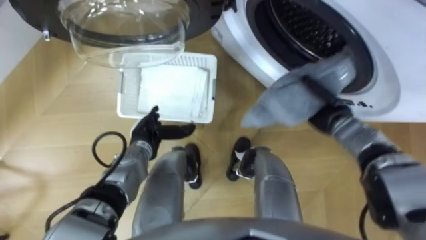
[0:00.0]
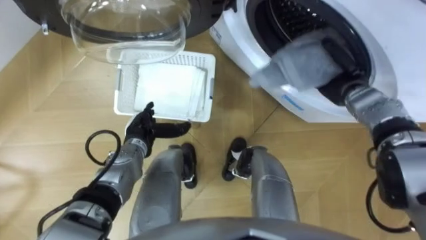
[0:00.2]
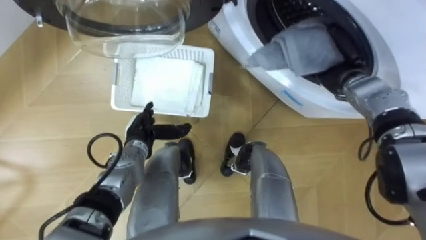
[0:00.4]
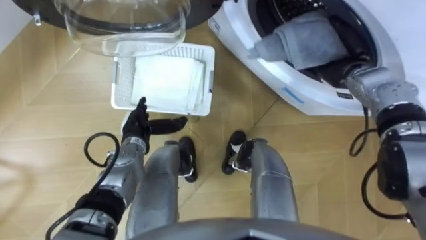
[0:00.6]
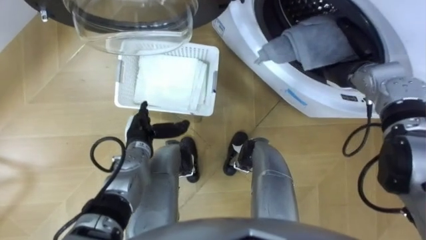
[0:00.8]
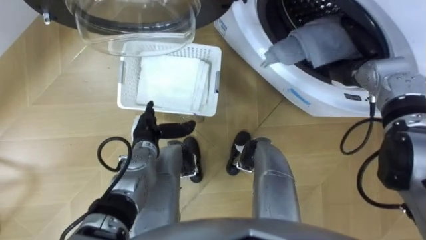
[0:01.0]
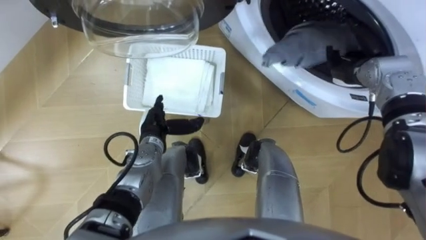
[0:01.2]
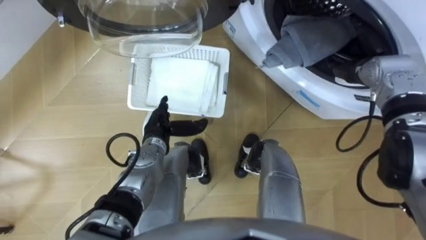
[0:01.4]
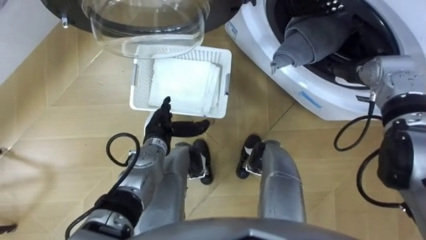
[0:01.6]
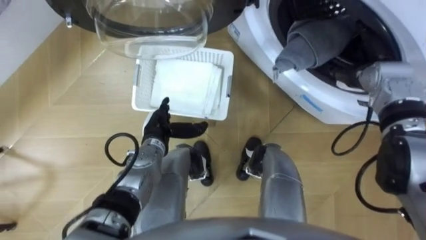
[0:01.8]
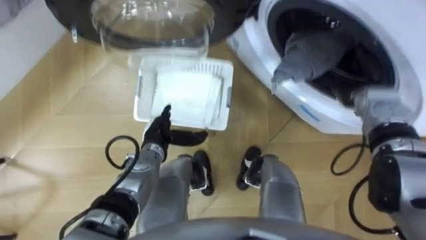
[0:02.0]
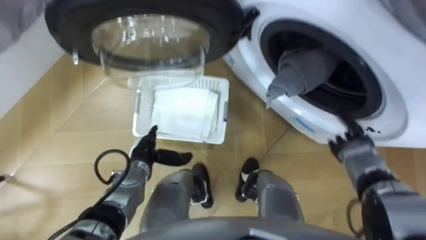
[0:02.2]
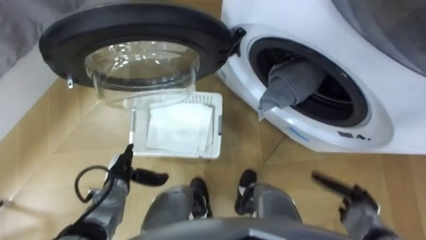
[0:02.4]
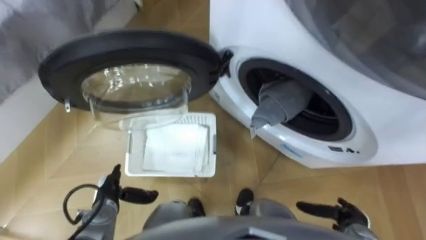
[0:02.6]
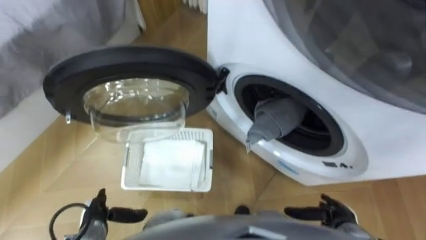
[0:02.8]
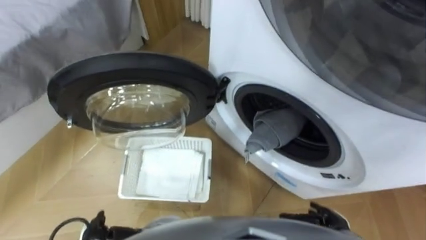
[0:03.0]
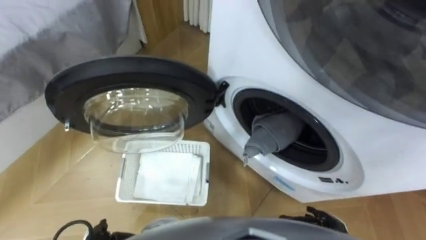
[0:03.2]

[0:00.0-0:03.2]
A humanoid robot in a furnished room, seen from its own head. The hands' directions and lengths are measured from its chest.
Task of the whole recording: Take the towel from the basket and put it into the washing machine.
0:00.0 to 0:01.6: The right hand travels upward and forward by about 10 cm, and opens up.
0:01.6 to 0:03.2: The right hand goes approximately 35 cm backward and downward.

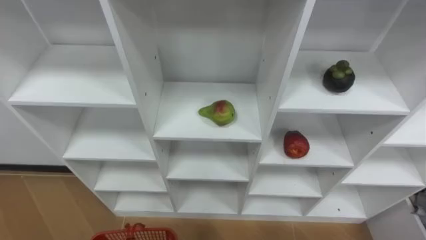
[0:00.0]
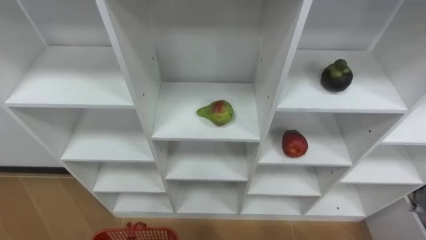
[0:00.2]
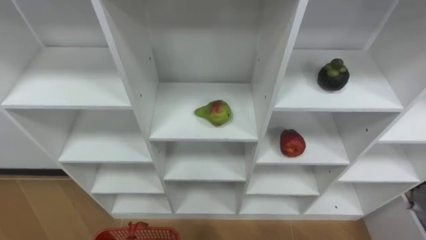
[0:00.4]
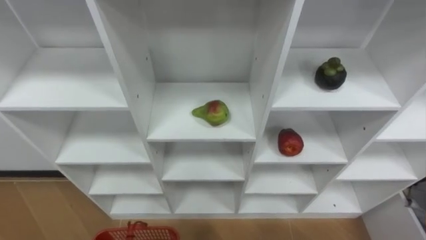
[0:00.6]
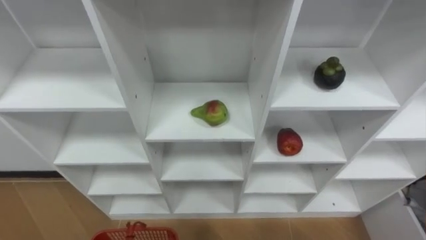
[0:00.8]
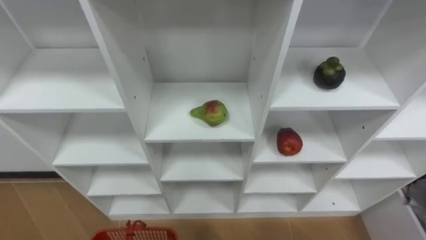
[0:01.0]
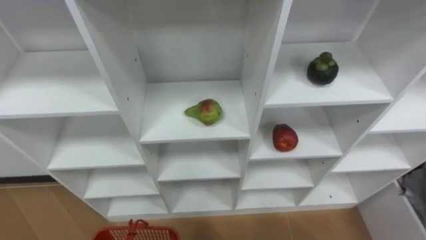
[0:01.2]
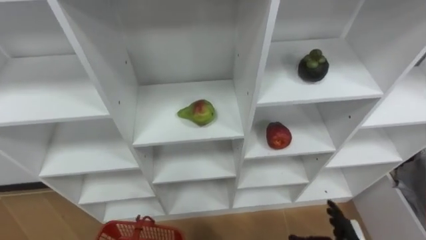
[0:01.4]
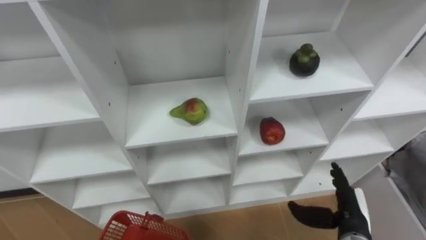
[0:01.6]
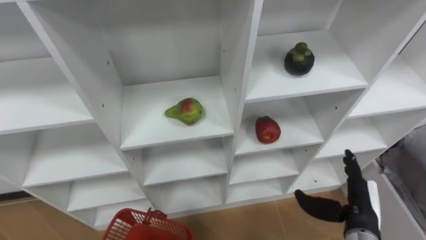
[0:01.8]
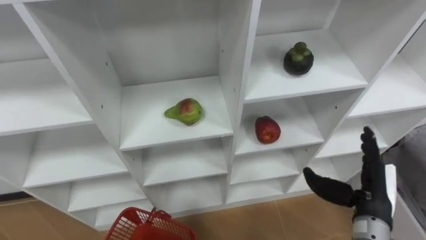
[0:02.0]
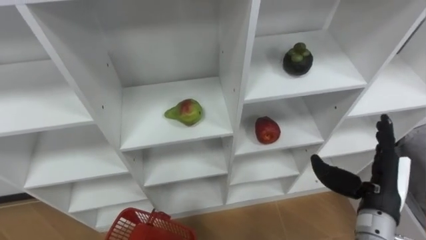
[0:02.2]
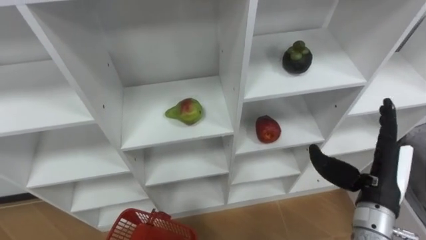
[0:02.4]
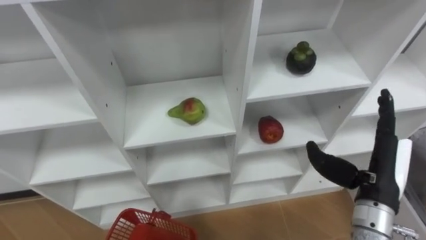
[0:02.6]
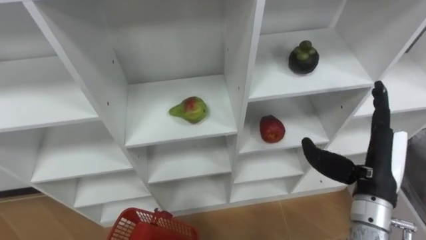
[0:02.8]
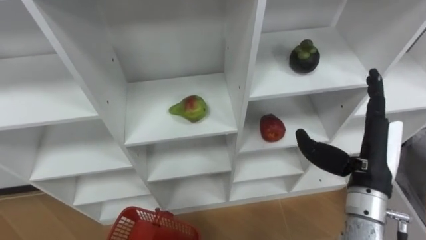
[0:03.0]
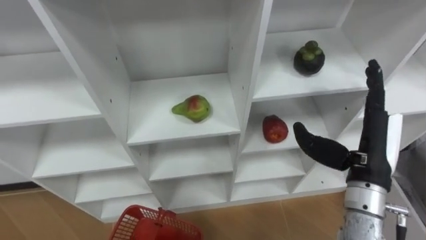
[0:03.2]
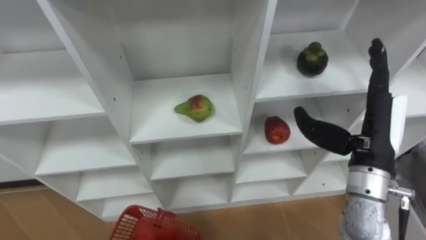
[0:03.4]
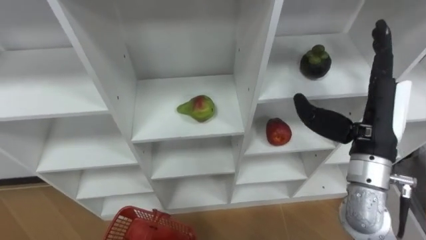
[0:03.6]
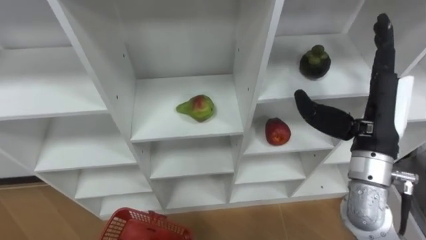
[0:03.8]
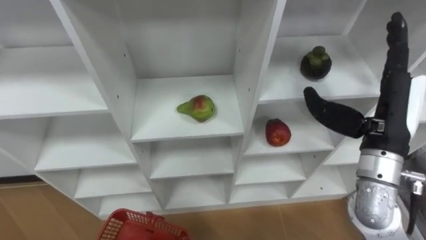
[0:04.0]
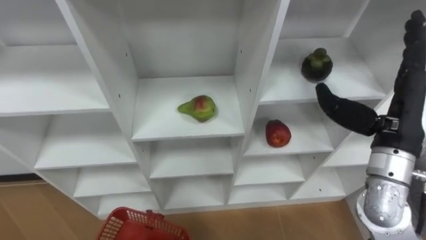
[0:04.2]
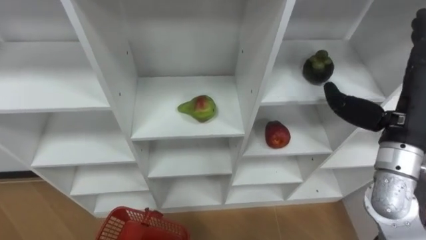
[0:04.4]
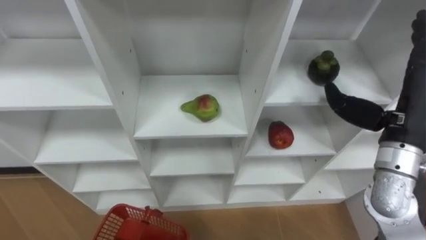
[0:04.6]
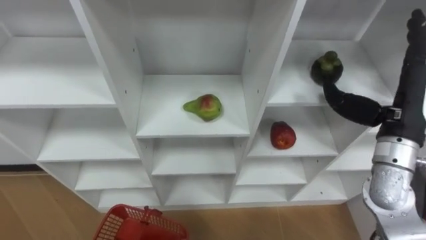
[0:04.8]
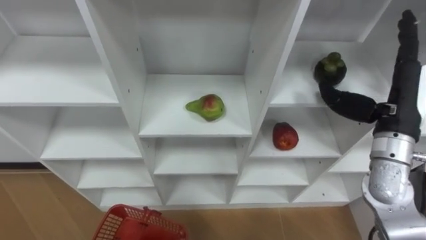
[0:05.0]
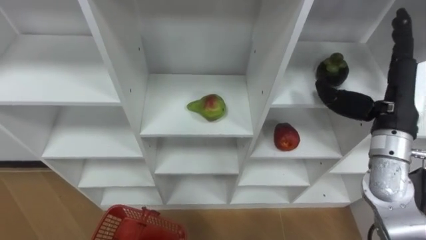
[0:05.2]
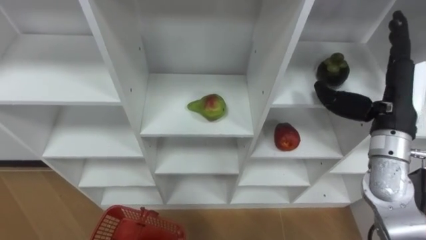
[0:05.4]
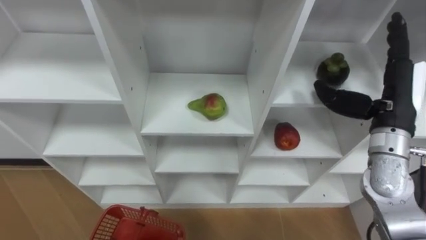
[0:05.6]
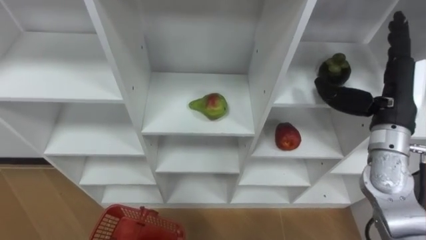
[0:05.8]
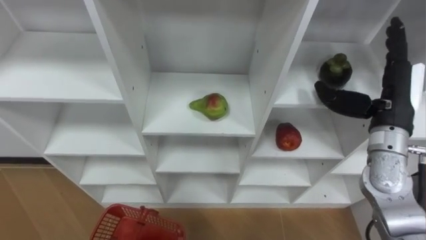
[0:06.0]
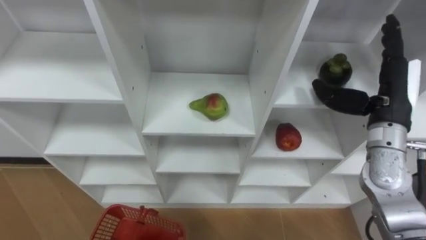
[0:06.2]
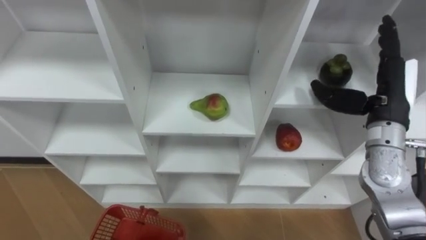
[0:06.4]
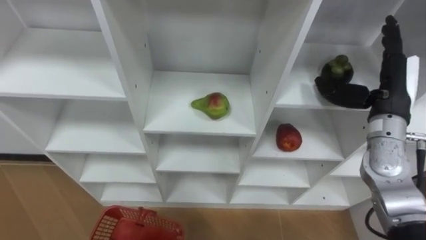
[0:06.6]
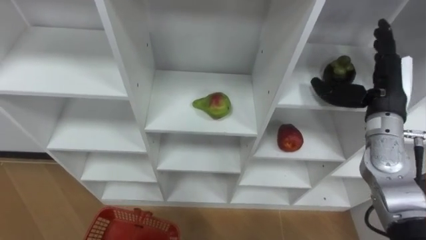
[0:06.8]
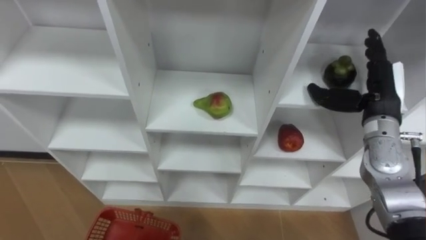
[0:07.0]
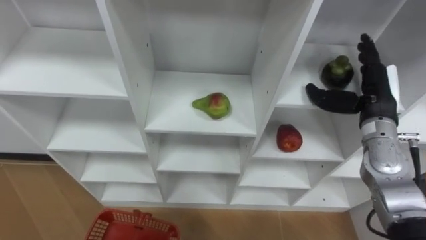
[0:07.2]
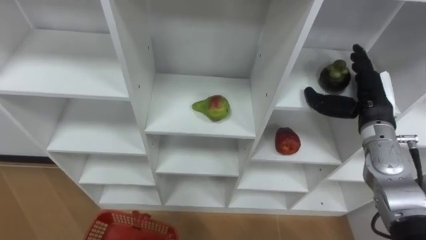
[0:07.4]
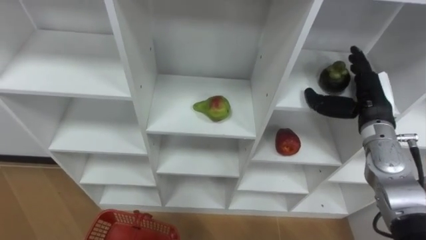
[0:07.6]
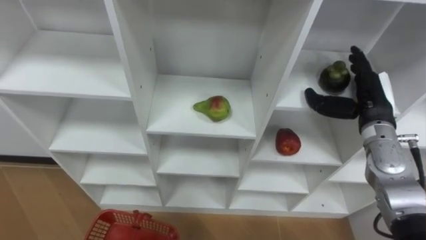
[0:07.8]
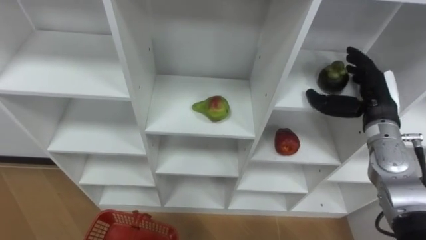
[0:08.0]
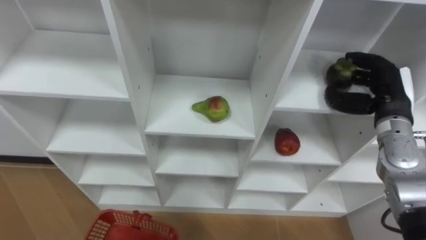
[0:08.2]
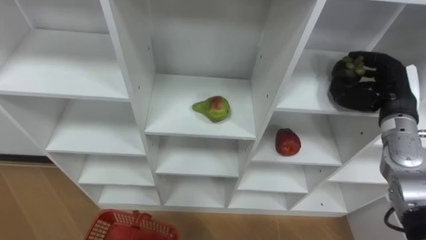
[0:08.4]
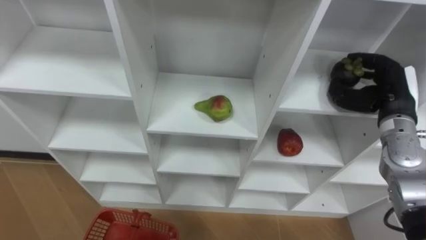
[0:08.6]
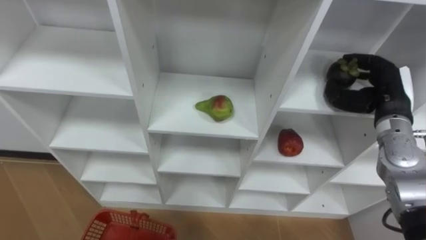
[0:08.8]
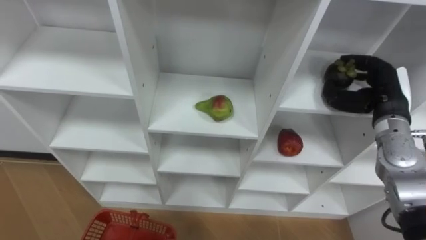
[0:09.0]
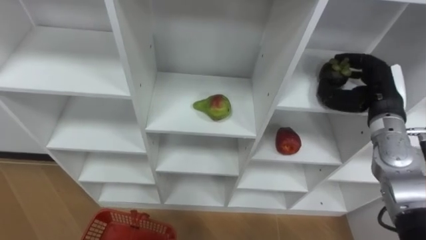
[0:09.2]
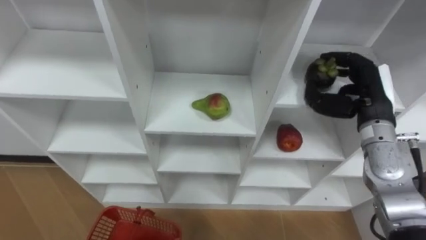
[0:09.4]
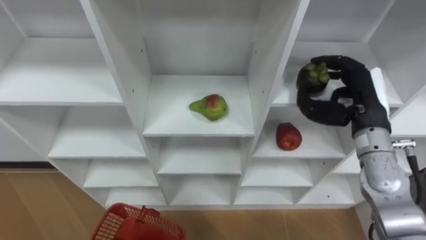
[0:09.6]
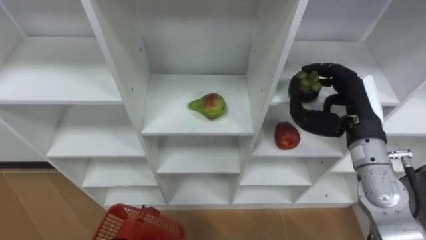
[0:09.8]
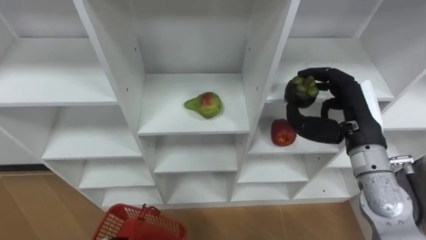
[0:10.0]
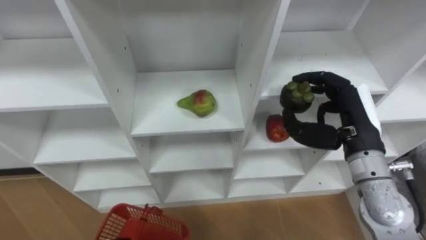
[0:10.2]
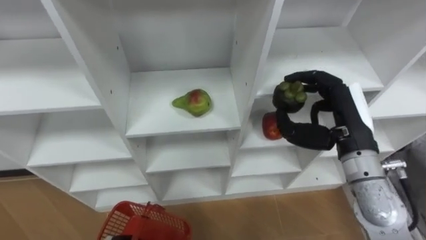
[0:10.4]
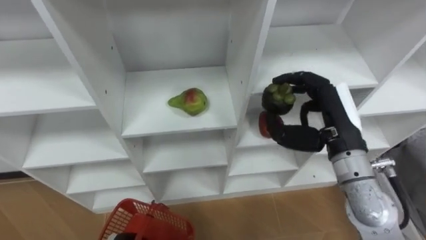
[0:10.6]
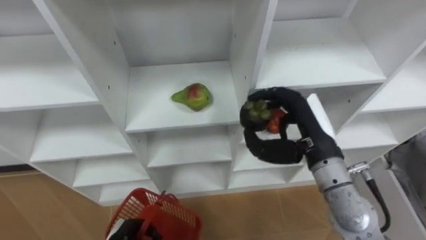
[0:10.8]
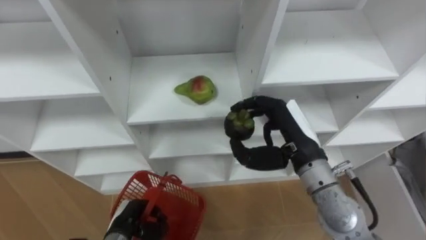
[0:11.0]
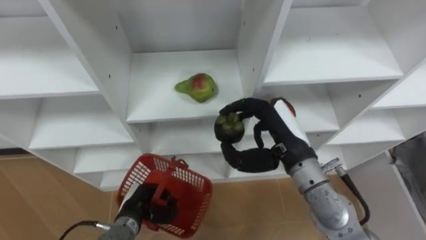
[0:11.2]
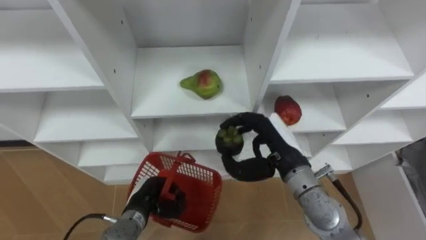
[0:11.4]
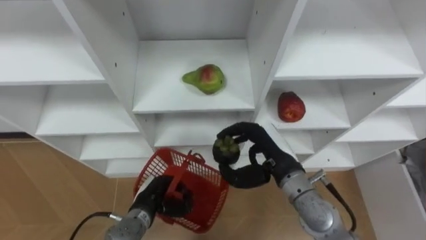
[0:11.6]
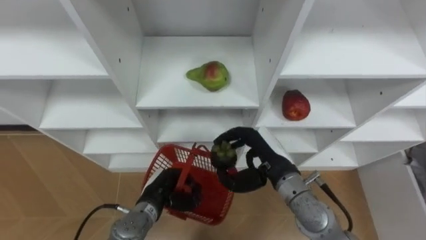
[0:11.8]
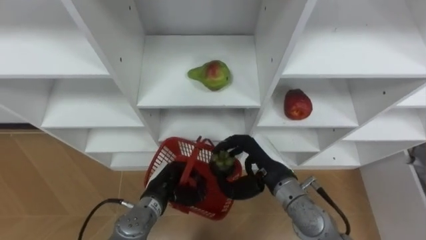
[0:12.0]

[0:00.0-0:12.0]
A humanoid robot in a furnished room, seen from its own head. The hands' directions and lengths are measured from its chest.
Task of the whole recording: Hold the basket and collect the fruits from 3 different cells of the closet into it.
0:01.6 to 0:03.0: The right hand is displaced upward by roughly 15 cm.
0:03.0 to 0:04.4: The right hand travels upward by about 5 cm.
0:06.0 to 0:07.6: The right hand heads downward, covering some 5 cm.
0:07.6 to 0:09.0: The right hand closes up.
0:09.0 to 0:10.4: The right hand shifts some 10 cm to the left and backward.
0:10.4 to 0:12.0: The right hand shifts approximately 15 cm to the left and downward.

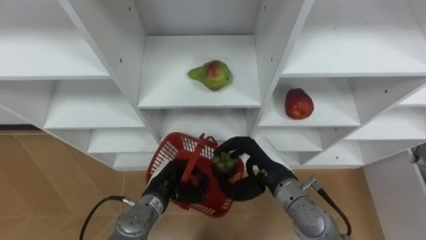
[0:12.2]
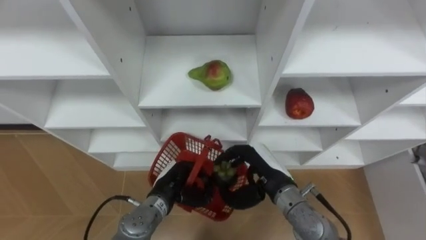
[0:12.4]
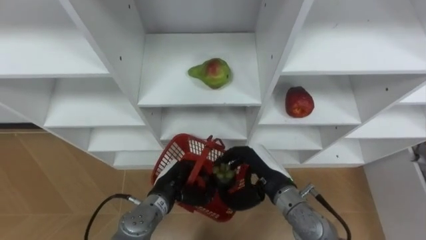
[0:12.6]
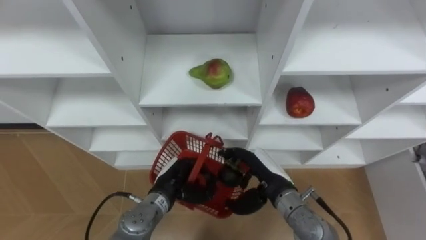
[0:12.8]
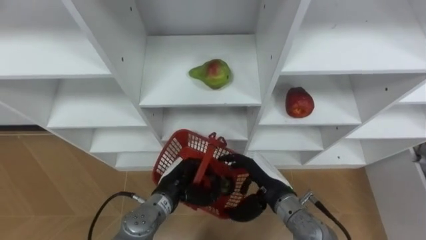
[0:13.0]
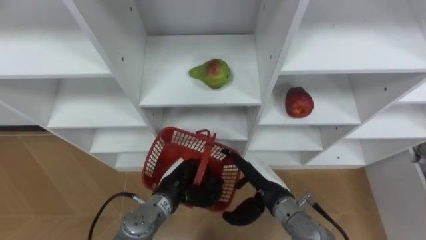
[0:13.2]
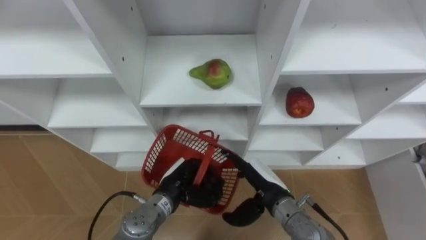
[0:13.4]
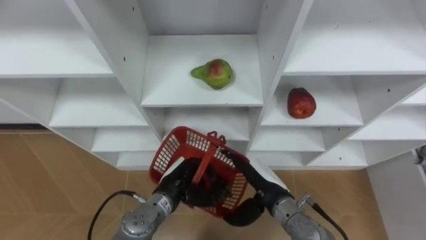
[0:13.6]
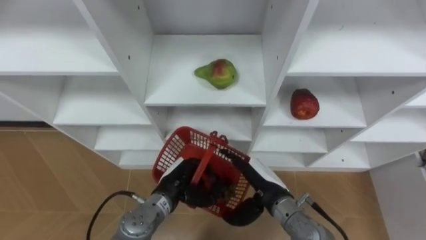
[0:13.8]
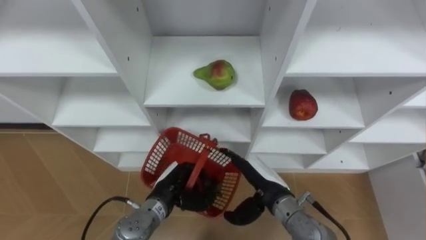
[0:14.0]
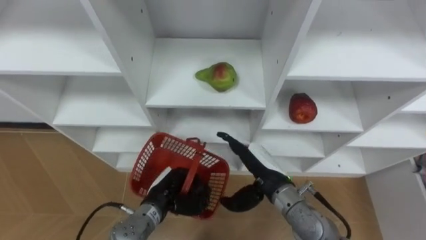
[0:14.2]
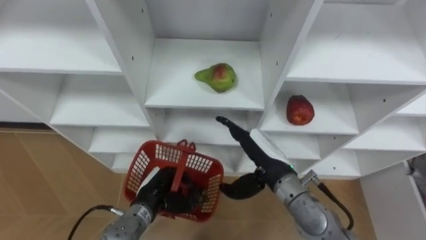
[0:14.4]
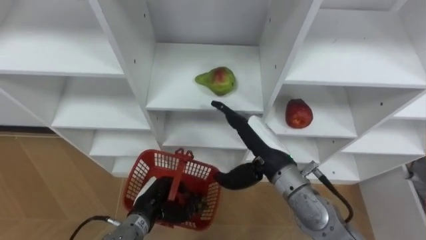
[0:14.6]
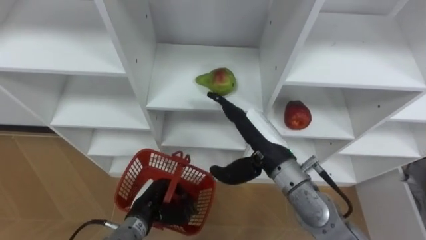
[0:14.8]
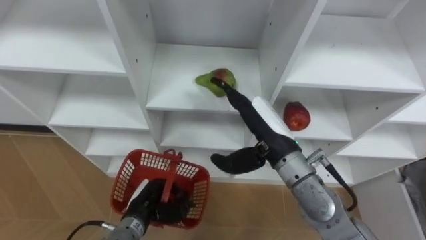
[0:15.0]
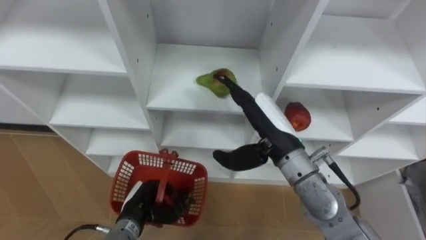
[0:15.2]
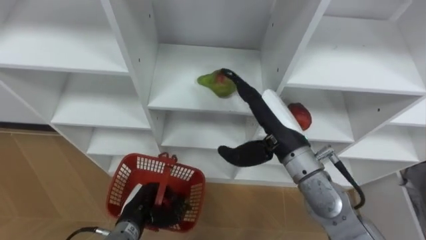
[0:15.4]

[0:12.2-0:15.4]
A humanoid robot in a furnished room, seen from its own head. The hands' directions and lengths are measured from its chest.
Task of the whole recording: Hold the basket and collect the fruits from 3 different cells of the closet into it.
0:12.2 to 0:13.8: The right hand ends up approximately 5 cm from where it was, and opens.
0:13.8 to 0:15.4: The left hand goes about 10 cm to the left; the right hand is displaced upward by some 15 cm.
